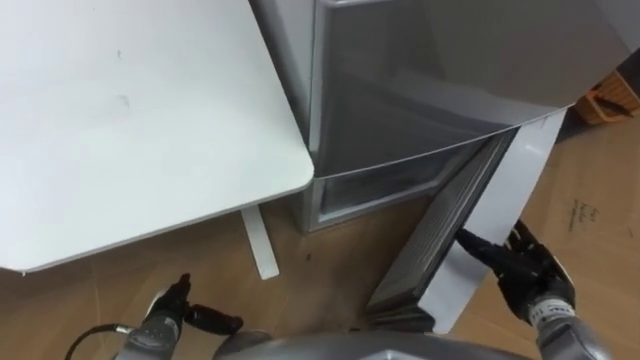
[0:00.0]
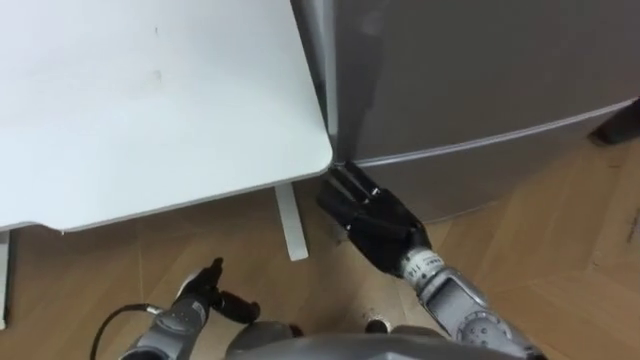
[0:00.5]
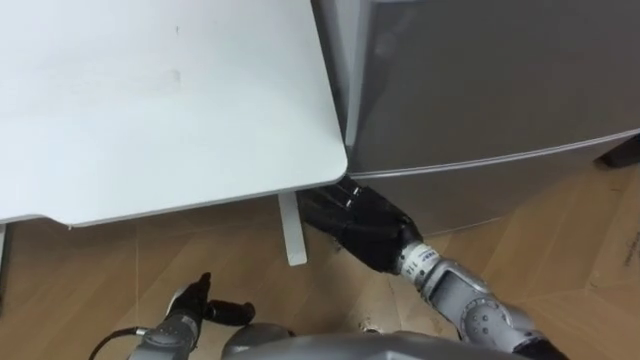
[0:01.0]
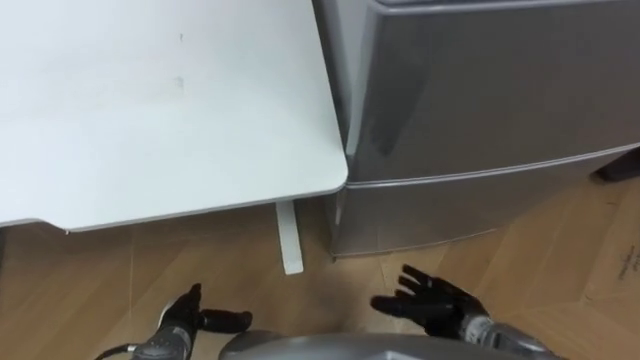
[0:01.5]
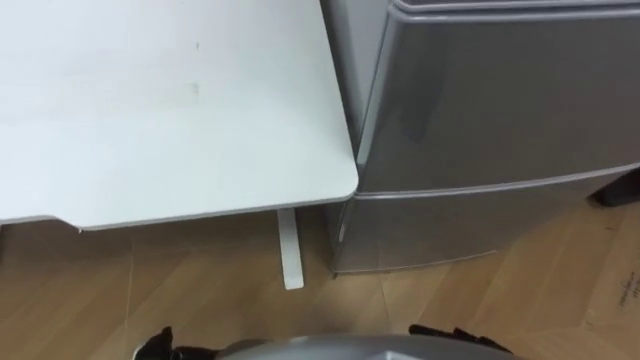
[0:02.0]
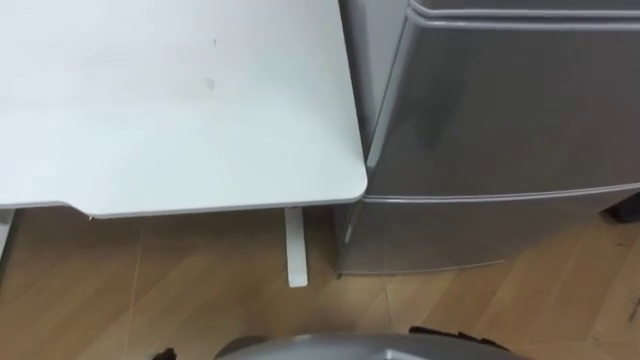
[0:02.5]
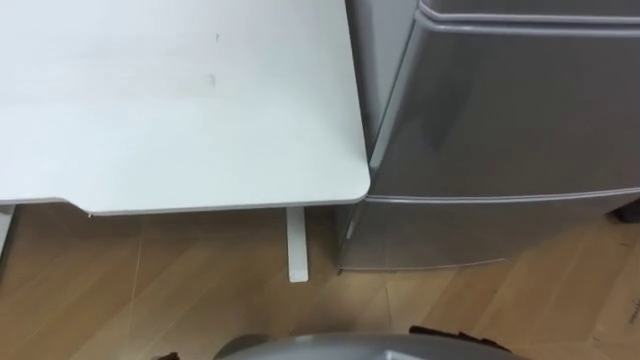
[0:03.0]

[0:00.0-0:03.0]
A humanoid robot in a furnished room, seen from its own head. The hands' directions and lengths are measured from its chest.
Task of the whole recording: Place the drink on the table on the bottom shelf of the refrigerator, then close the drawer and the refrigerator door.
0:00.0 to 0:01.5: The right hand goes about 10 cm to the left and downward.

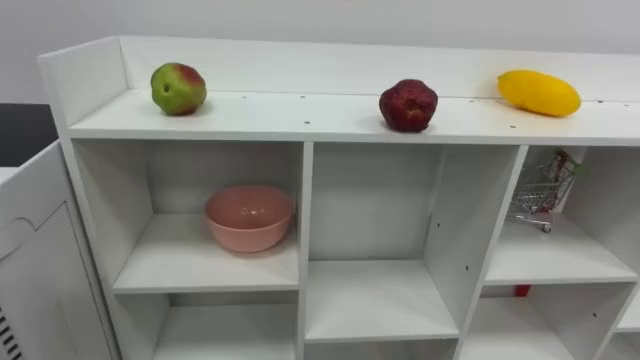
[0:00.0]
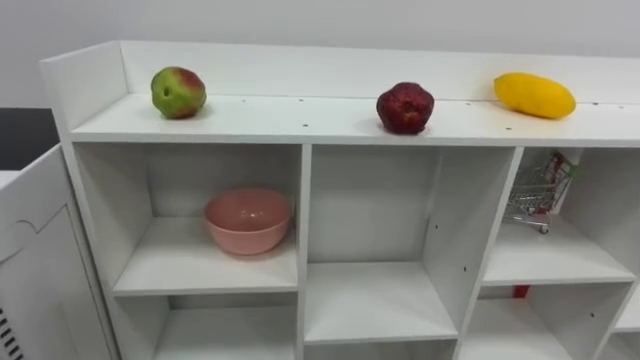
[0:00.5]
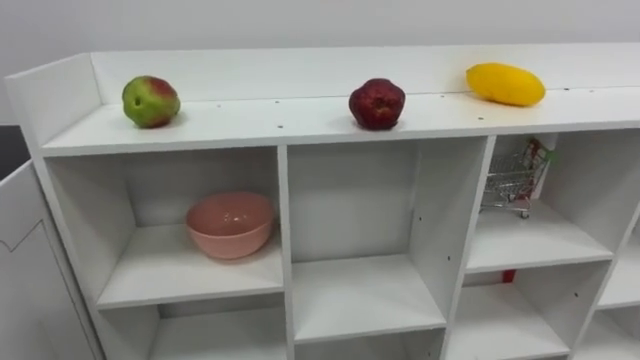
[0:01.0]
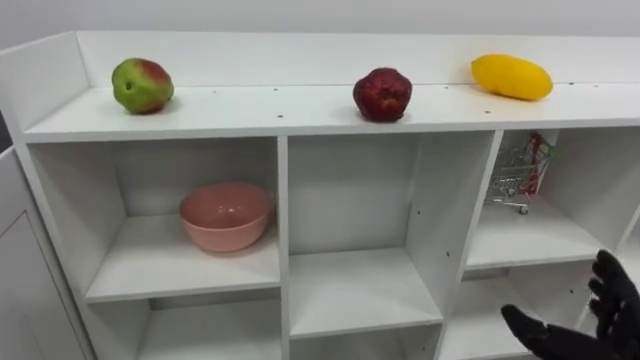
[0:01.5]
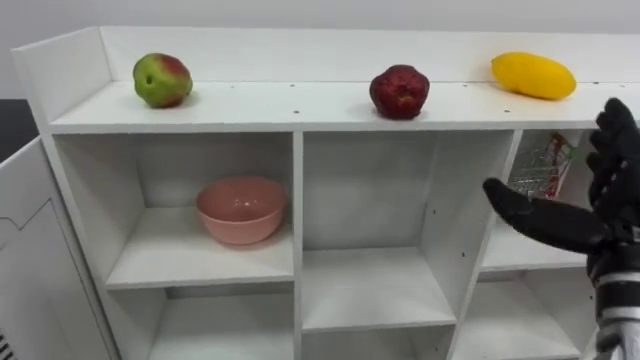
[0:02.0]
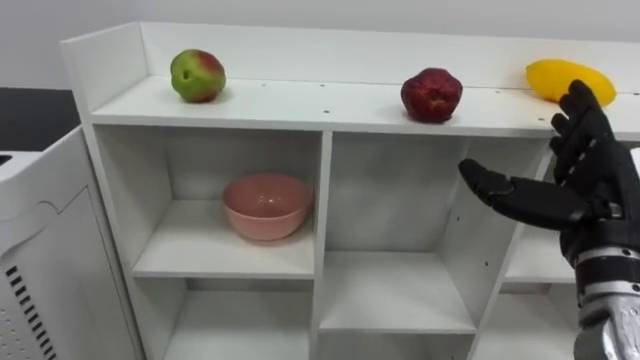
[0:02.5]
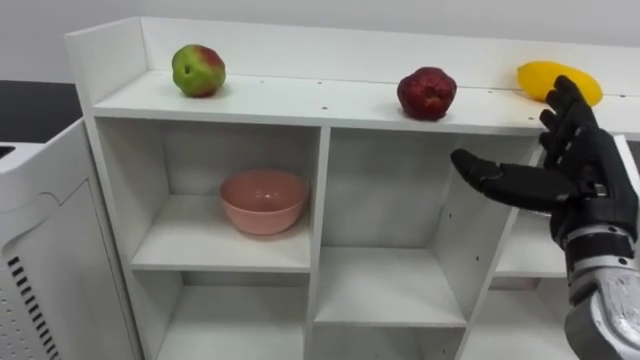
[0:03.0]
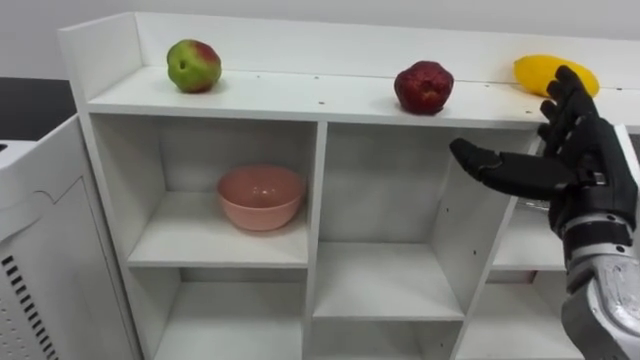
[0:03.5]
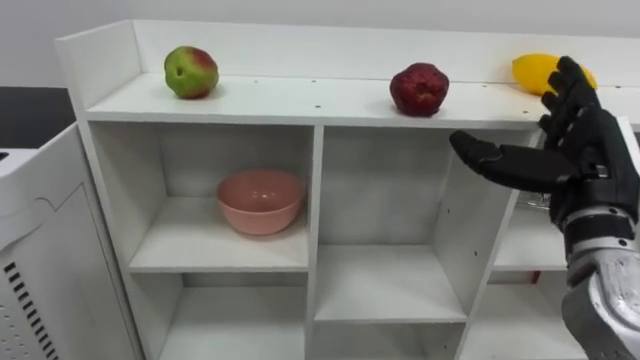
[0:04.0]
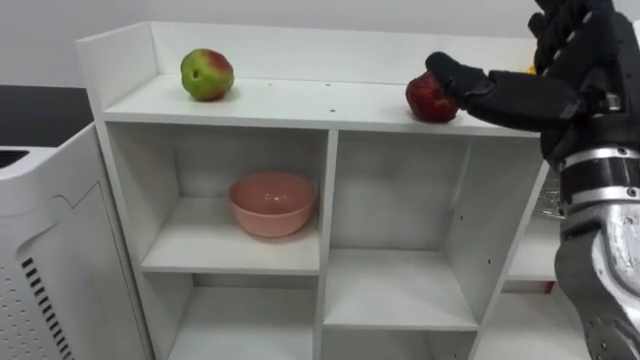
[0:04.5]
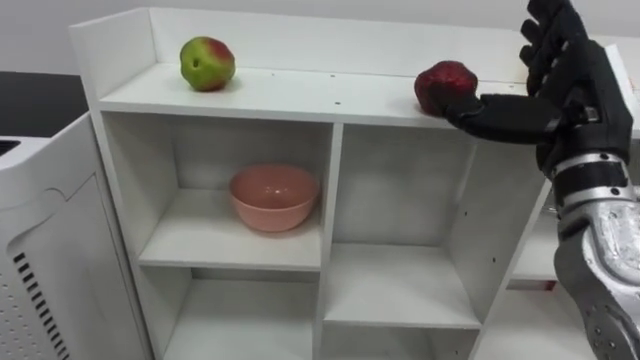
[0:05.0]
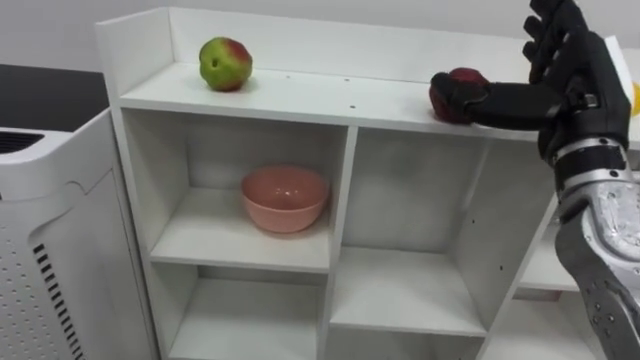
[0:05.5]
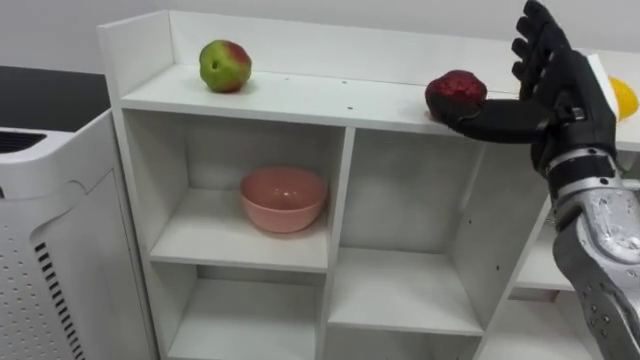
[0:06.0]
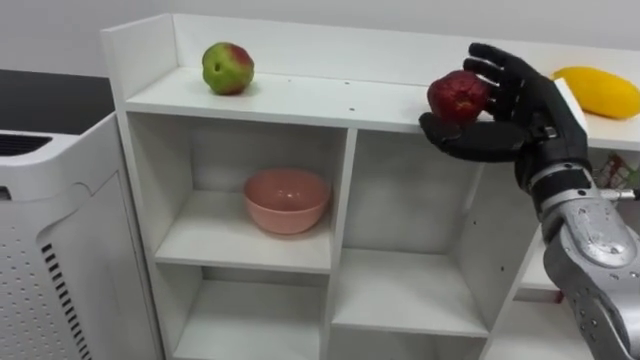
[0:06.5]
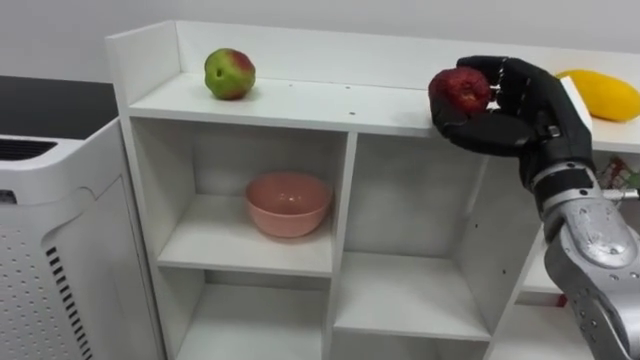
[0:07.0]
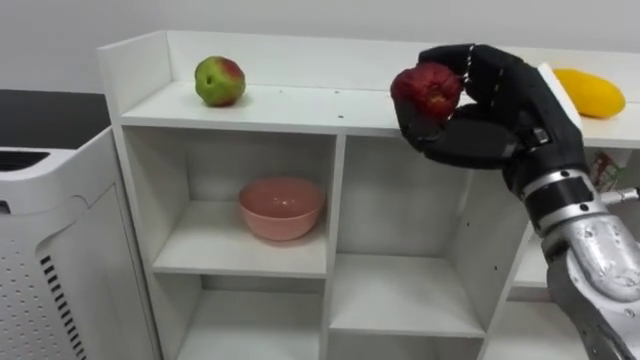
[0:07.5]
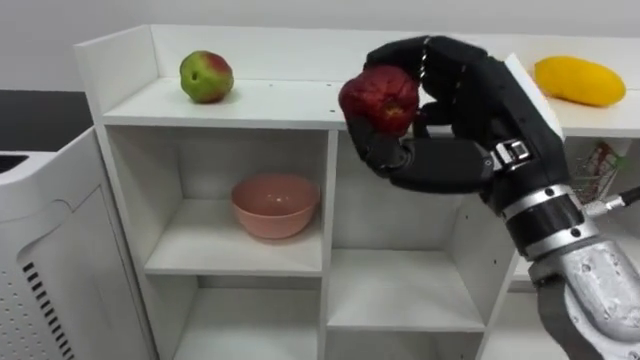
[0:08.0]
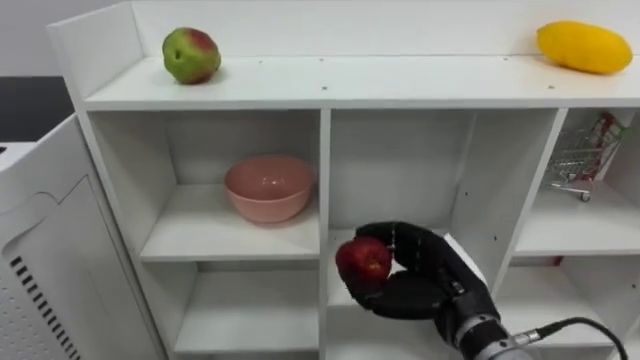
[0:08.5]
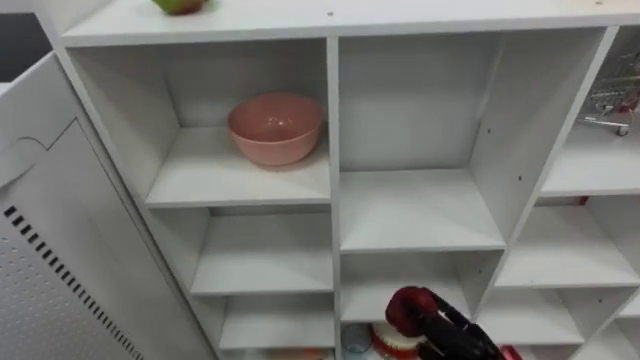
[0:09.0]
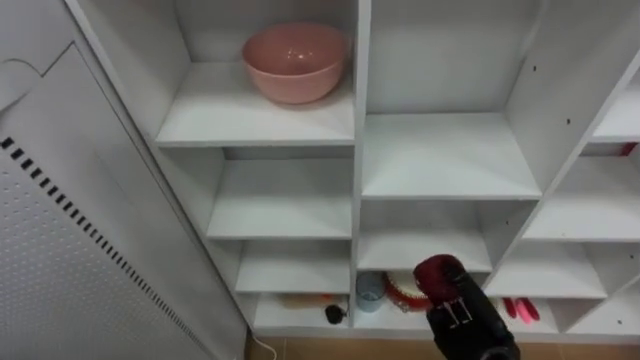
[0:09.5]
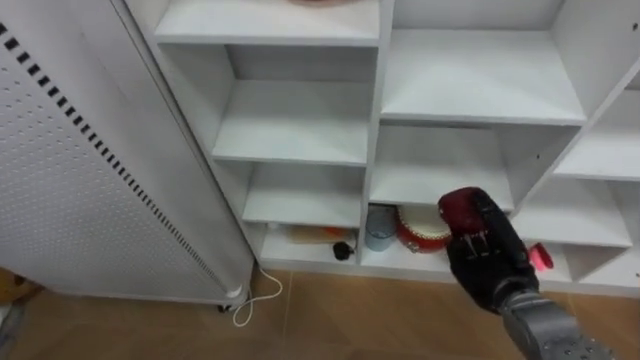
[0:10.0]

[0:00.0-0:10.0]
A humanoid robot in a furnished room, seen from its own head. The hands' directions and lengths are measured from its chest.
Task of the whole recording: Put the apple in the cell in the second column from the left and the second row from the top.
0:02.0 to 0:04.0: The right hand shifts by some 5 cm.
0:06.0 to 0:08.0: The right hand goes approximately 10 cm to the left and backward, and closes up.

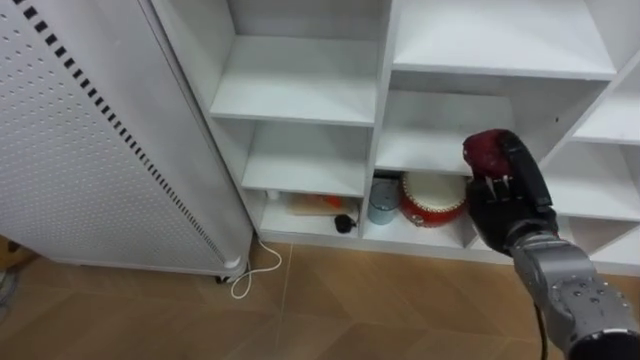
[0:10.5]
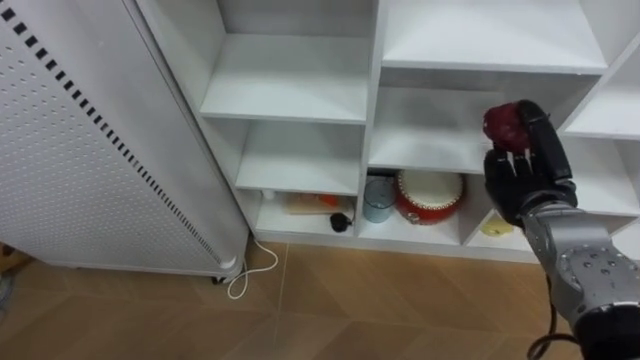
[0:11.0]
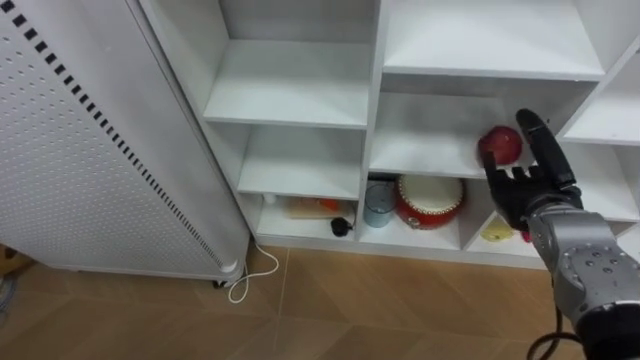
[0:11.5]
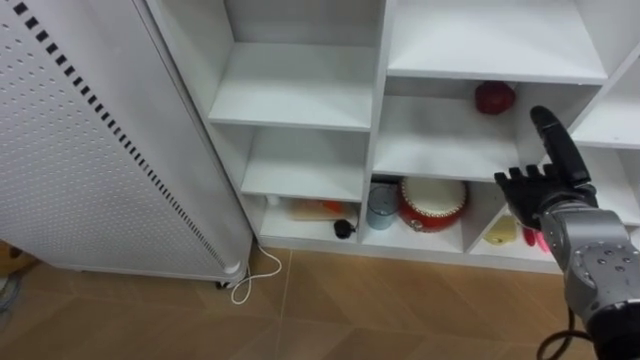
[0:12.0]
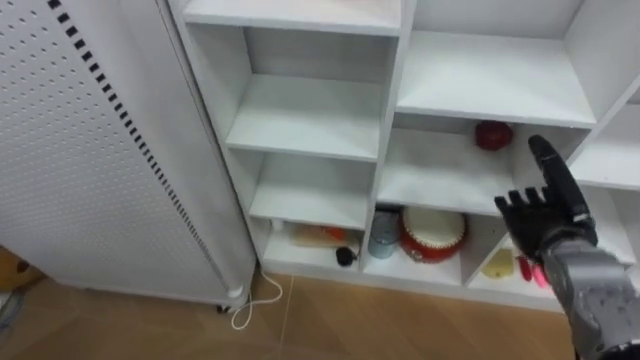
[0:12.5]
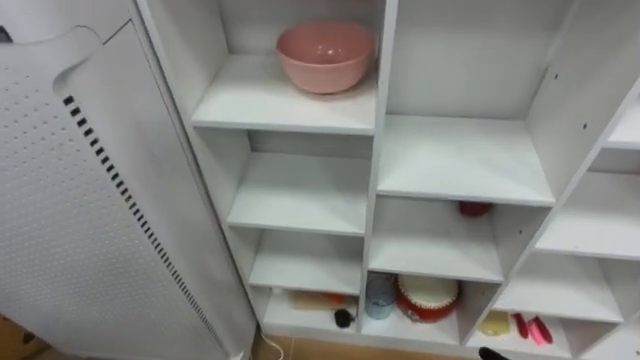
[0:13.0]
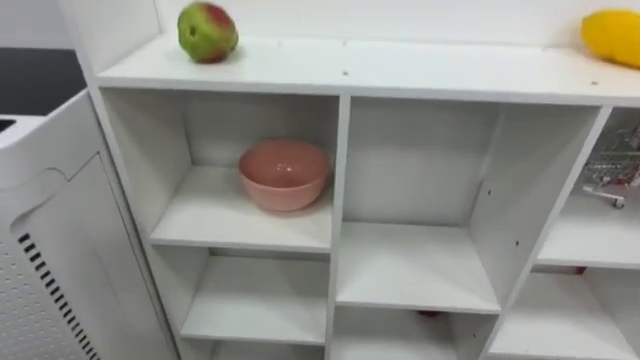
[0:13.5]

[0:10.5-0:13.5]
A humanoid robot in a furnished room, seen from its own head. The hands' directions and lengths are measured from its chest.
Task of the whole recording: Put the apple in the cell in the second column from the left and the second row from the top.
0:10.5 to 0:12.0: The right hand ends up about 5 cm from where it was, and opens up.

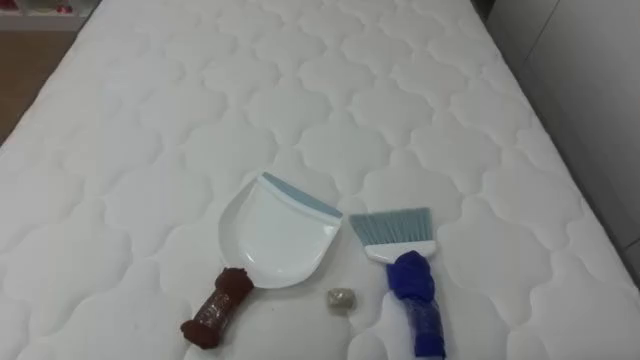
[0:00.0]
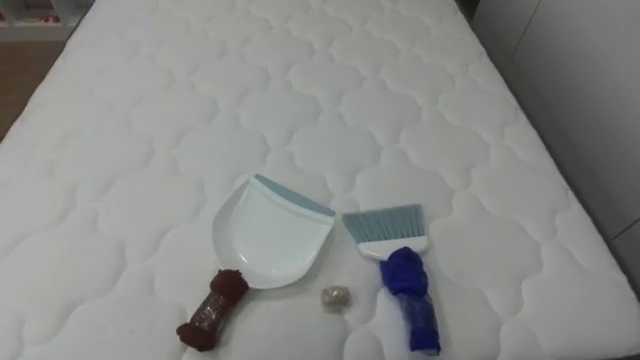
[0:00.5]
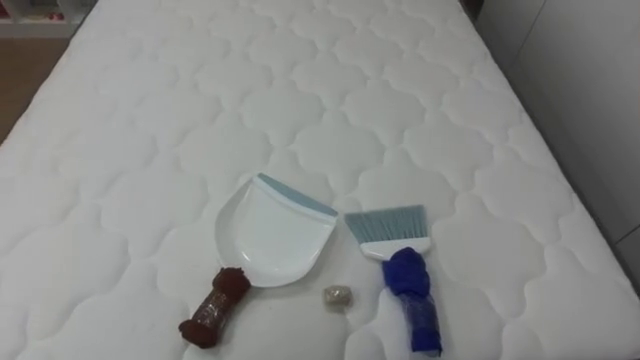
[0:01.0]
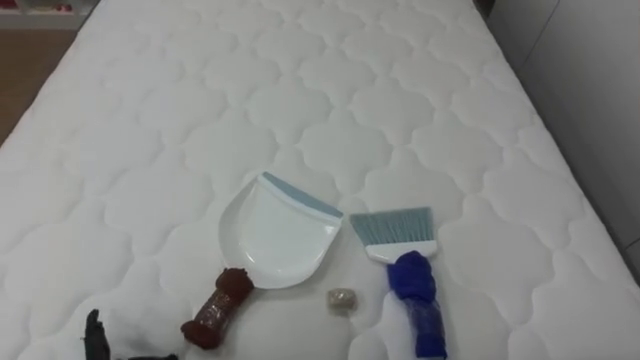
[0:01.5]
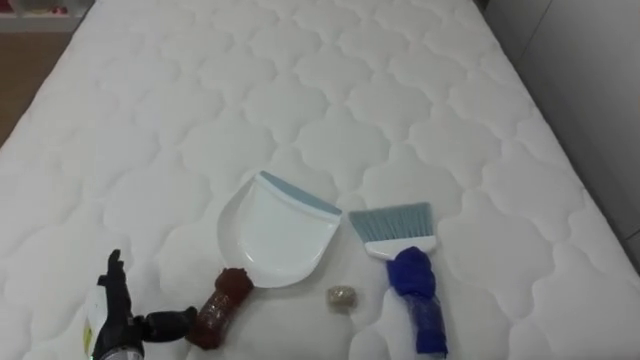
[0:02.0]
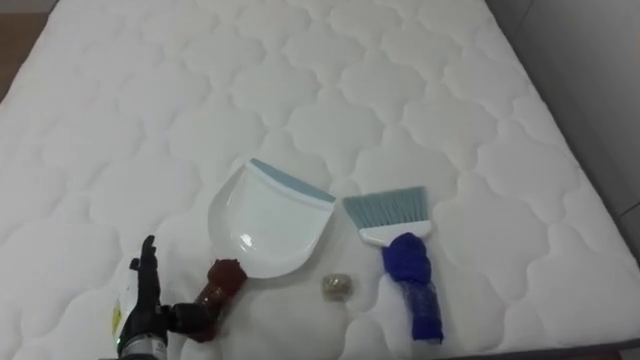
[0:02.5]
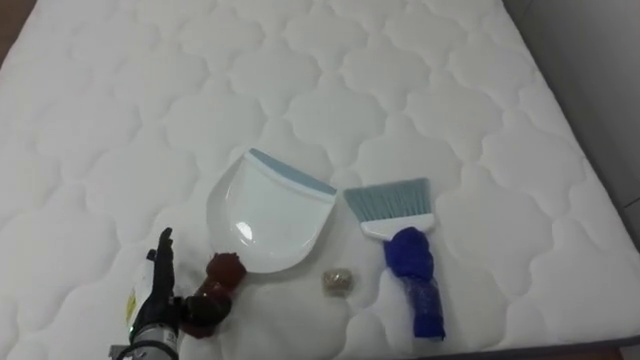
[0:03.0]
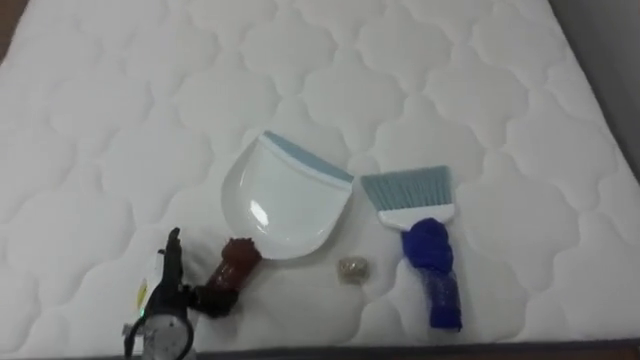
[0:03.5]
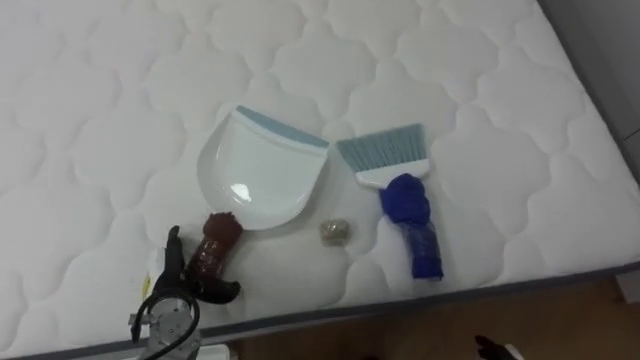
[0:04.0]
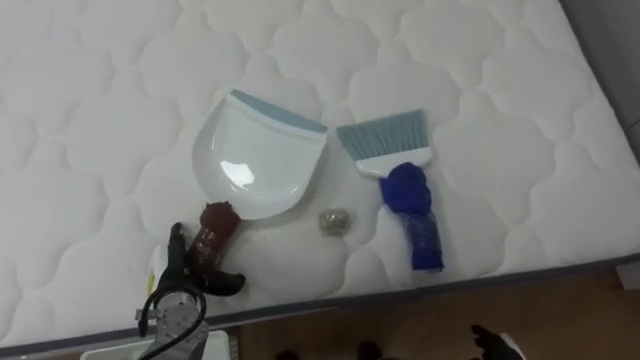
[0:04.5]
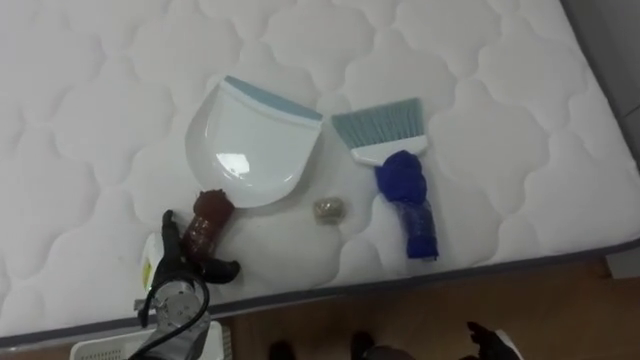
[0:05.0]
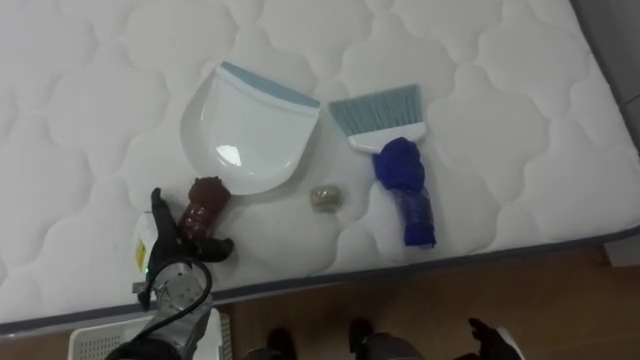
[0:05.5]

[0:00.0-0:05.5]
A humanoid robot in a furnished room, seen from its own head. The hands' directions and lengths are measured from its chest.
Task of the whole recording: Pick up the brush on your right and the dustpan on your left. Use the brush to sweep the crumpled paper on the bed into the dustpan, then turn left and empty it into the basket.
0:02.0 to 0:03.5: The left hand moves forward, approximately 5 cm.
0:03.5 to 0:05.5: The left hand shifts approximately 5 cm forward.
